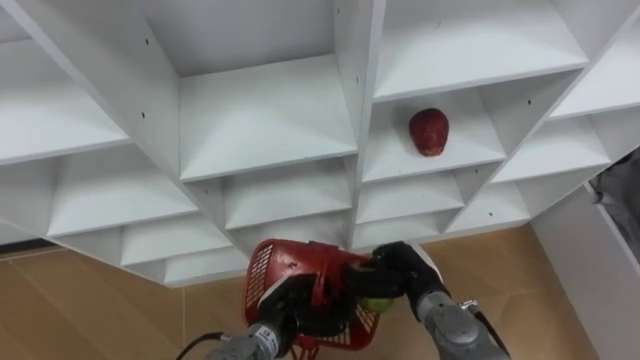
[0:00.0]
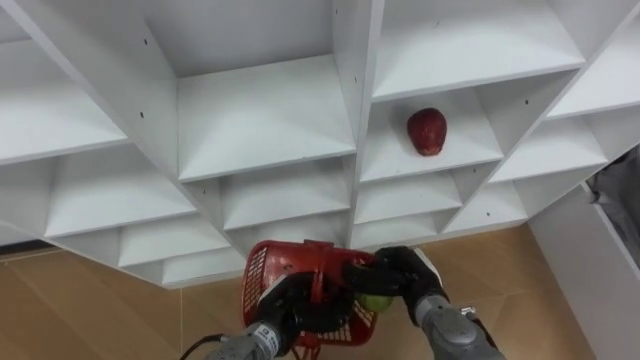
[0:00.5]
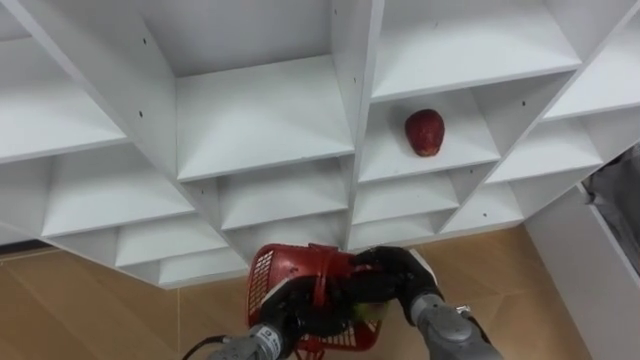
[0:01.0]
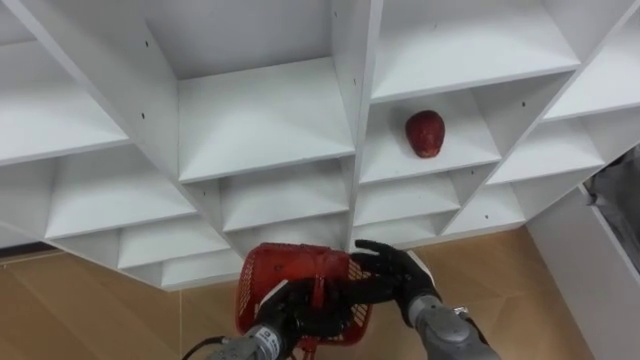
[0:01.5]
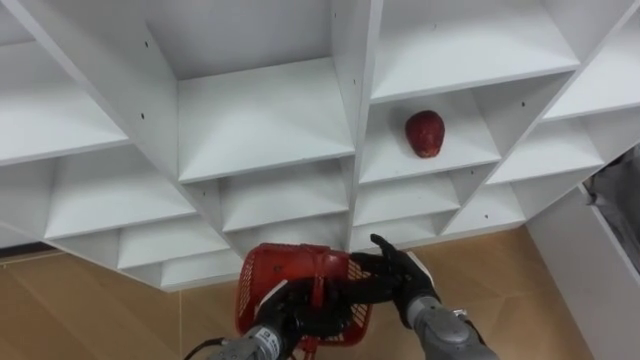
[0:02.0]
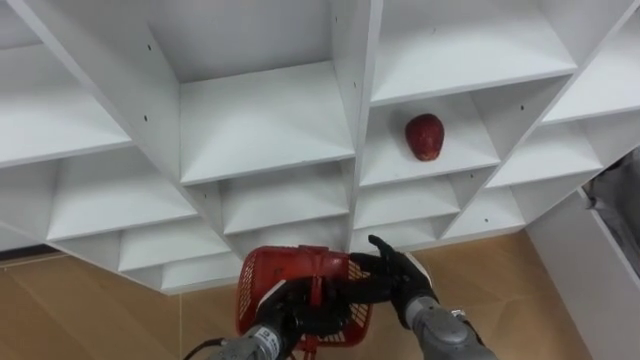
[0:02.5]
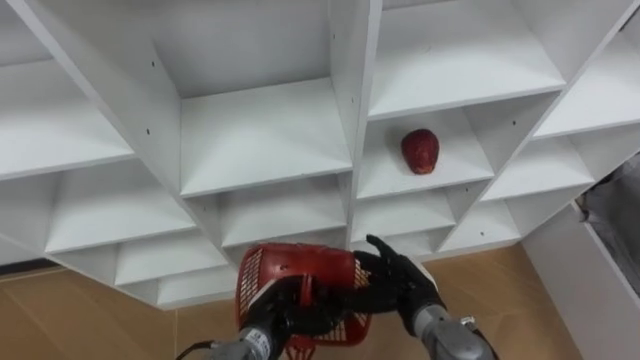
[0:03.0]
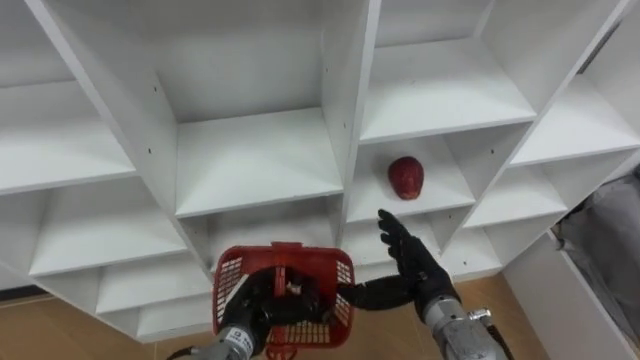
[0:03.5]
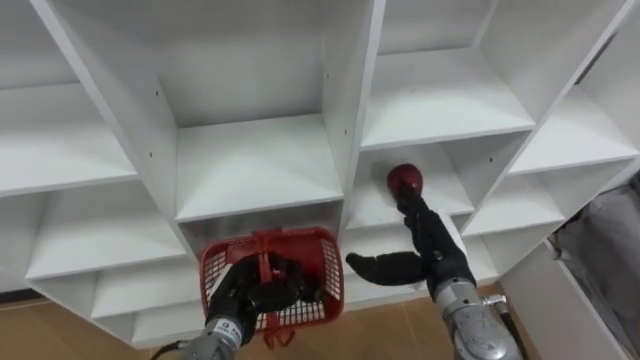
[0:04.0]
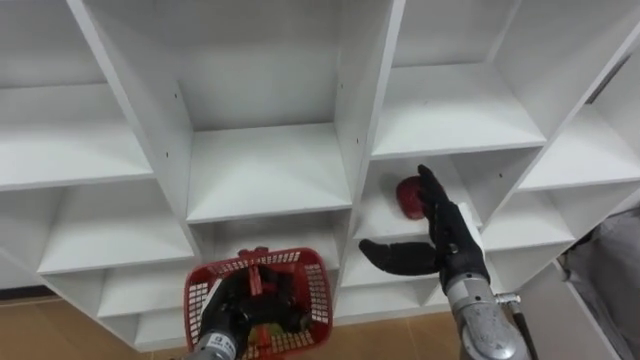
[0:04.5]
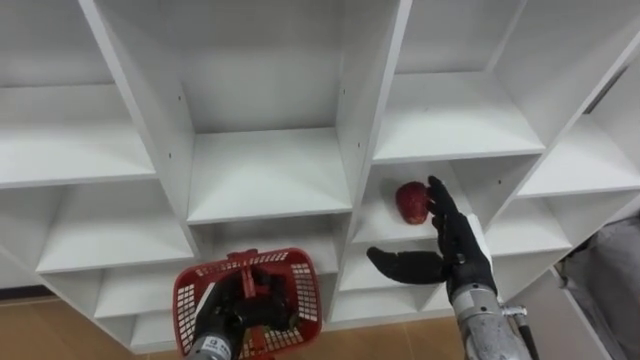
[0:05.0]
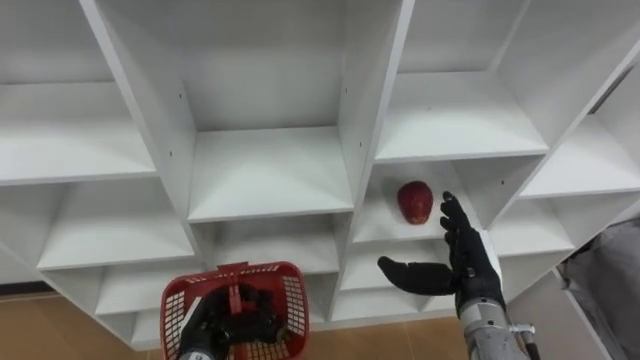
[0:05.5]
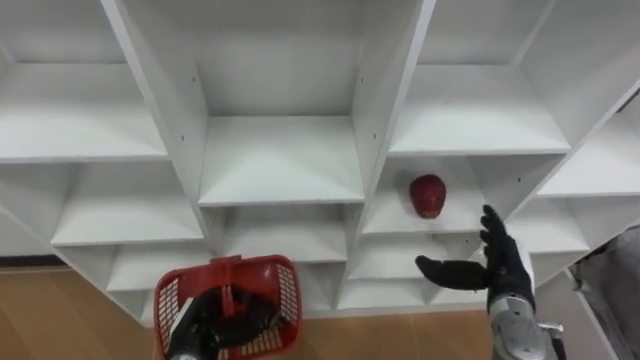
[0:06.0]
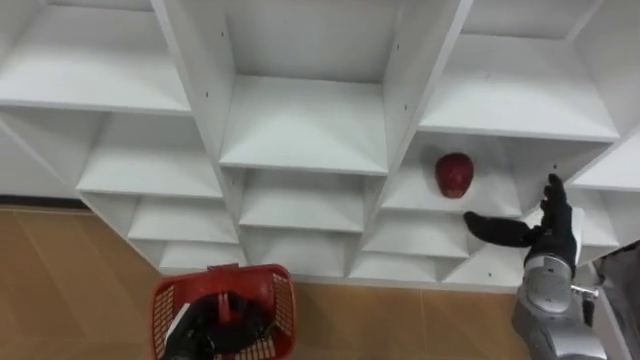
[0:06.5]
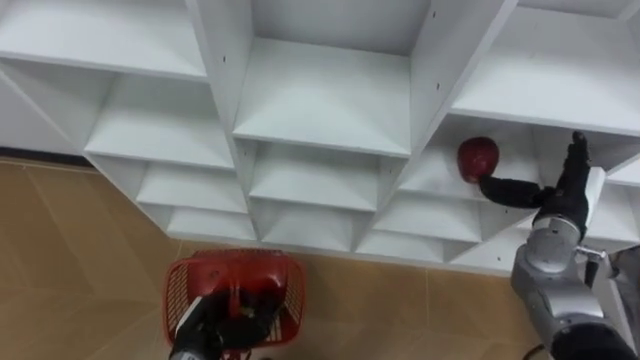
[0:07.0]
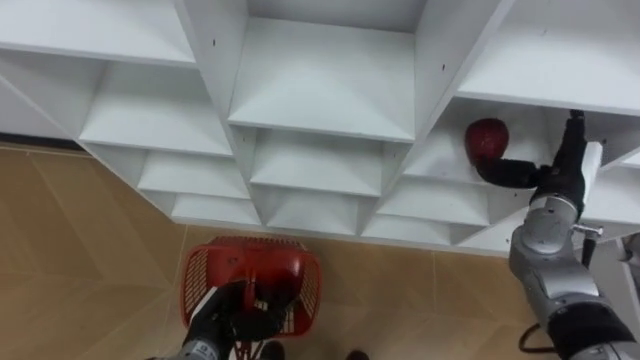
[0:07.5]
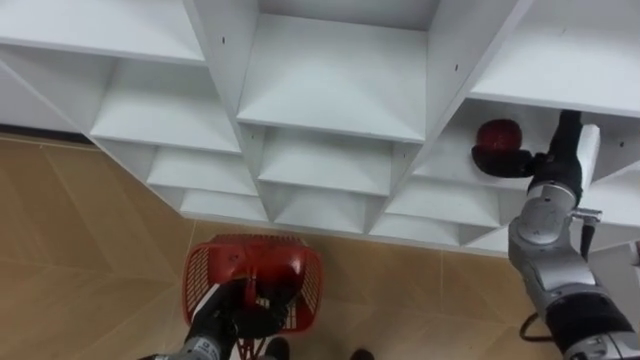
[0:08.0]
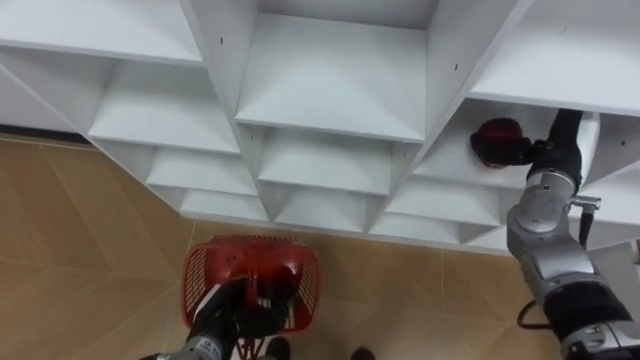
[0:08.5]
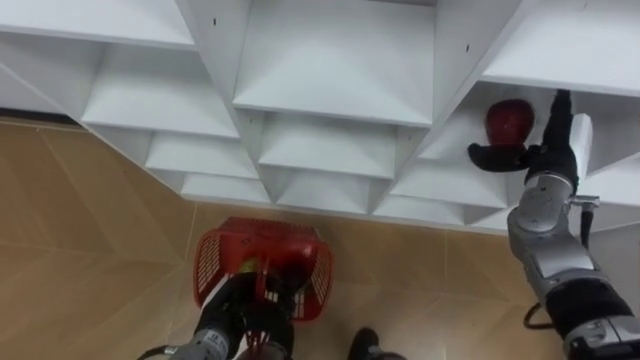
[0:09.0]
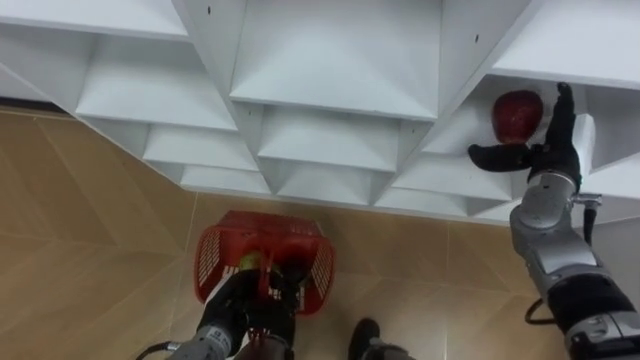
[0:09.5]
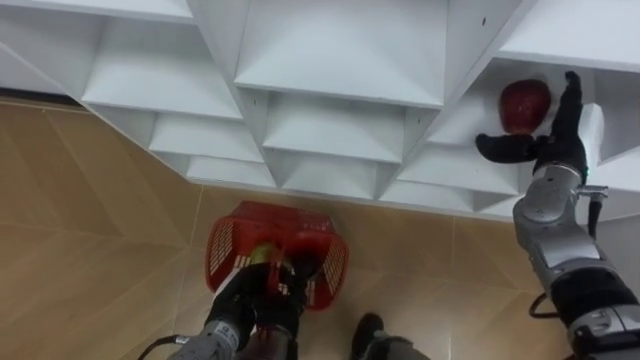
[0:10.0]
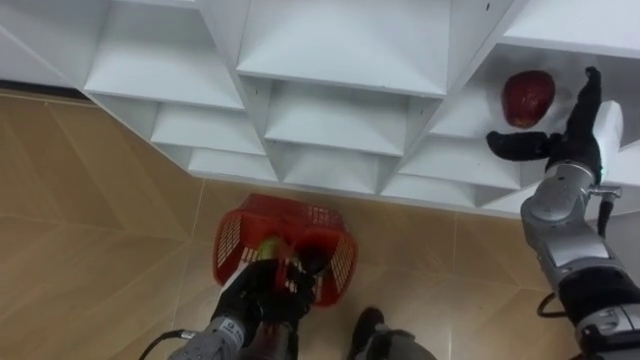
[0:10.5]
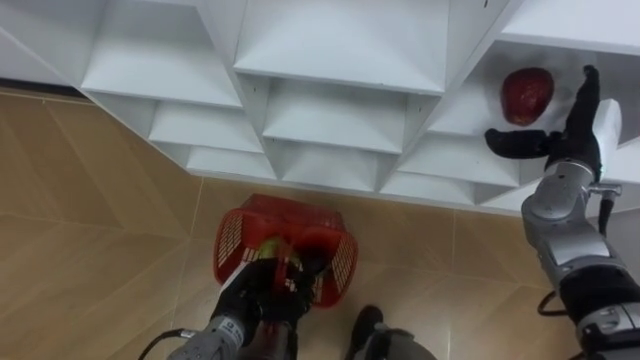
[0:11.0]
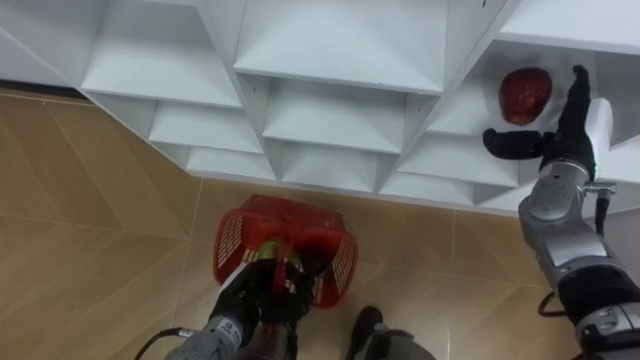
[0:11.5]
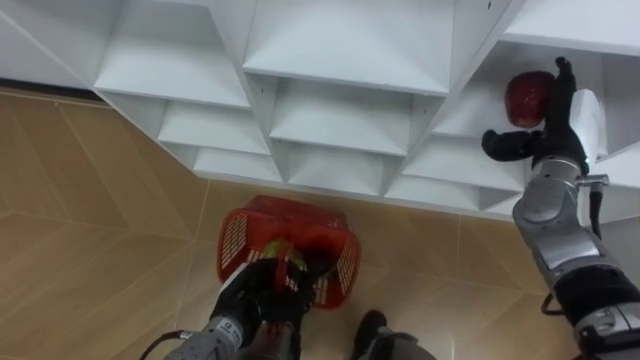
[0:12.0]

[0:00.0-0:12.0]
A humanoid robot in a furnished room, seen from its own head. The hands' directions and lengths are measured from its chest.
Task of the whole recording: Hold the basket and collect the fruits from 3 different cells of the closet into it.
0:00.0 to 0:02.0: The right hand opens up.
0:02.0 to 0:04.0: The right hand moves upward, some 10 cm; the left hand travels to the left by about 5 cm.
0:04.0 to 0:06.0: The right hand travels to the right by some 10 cm; the left hand travels to the left by about 5 cm.
0:06.0 to 0:08.0: The right hand goes roughly 15 cm upward, forward and to the right.

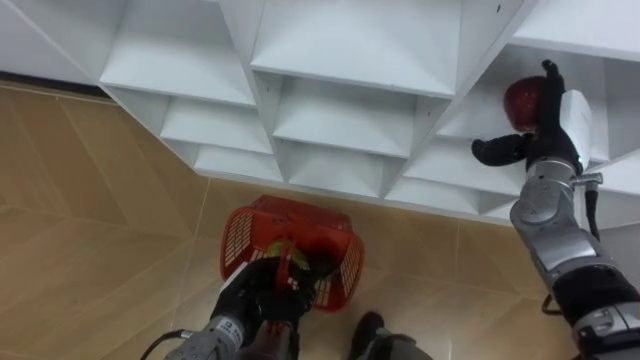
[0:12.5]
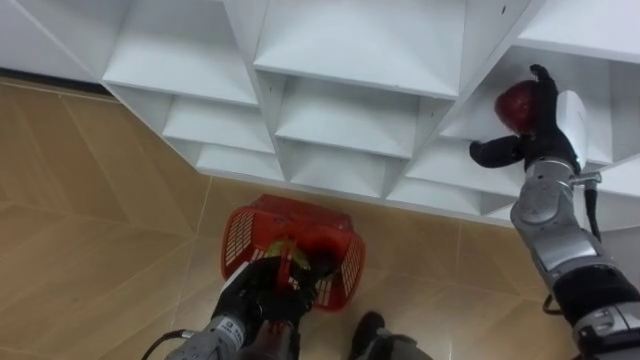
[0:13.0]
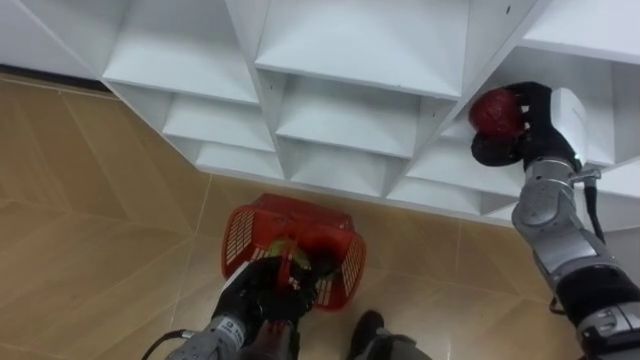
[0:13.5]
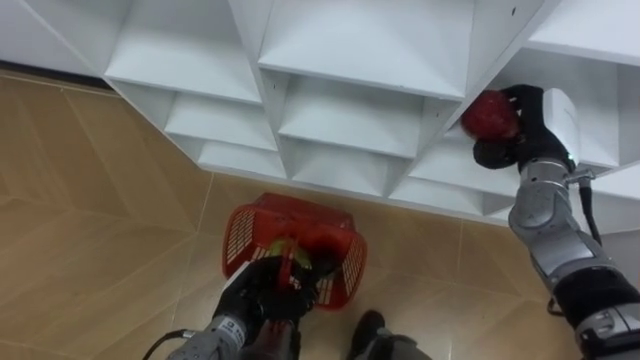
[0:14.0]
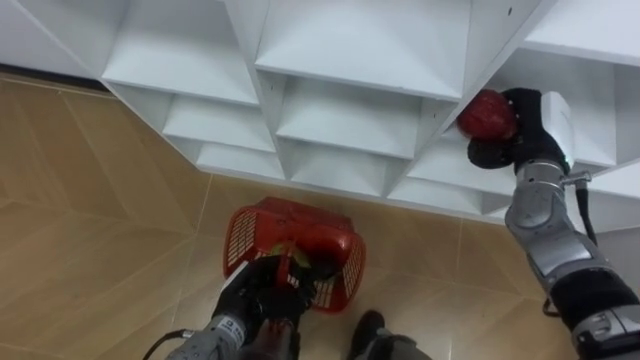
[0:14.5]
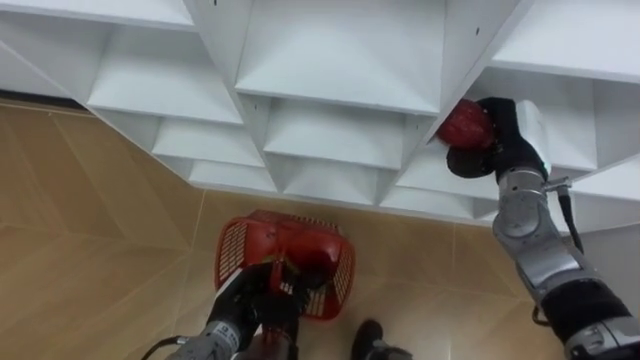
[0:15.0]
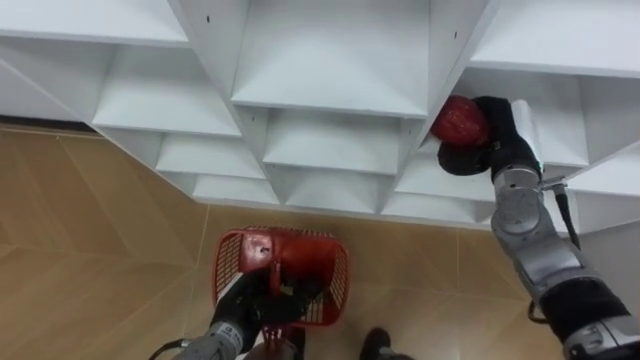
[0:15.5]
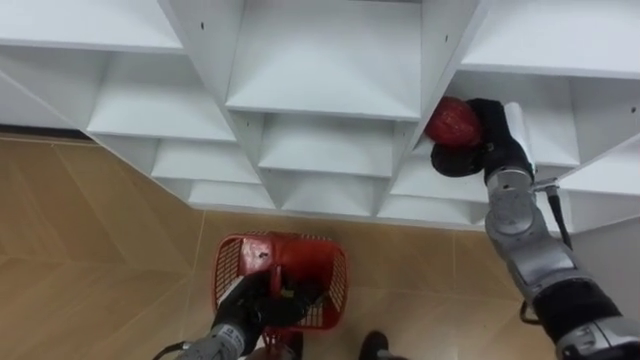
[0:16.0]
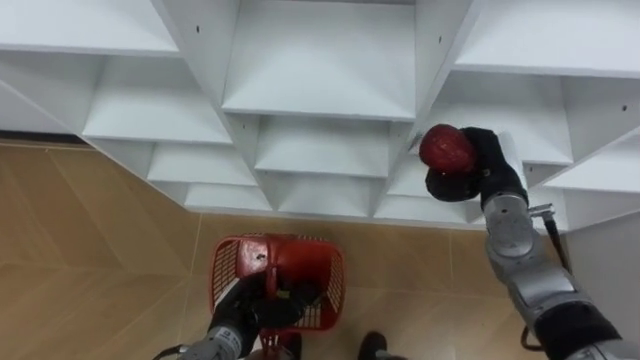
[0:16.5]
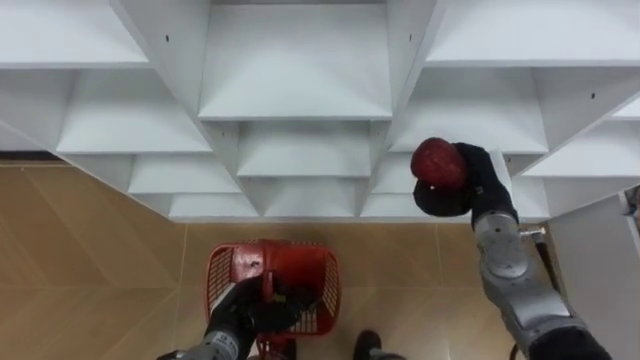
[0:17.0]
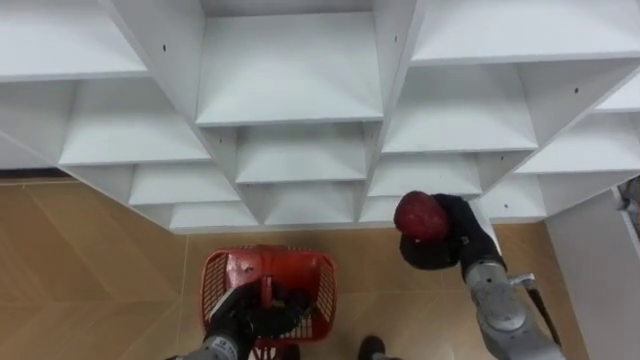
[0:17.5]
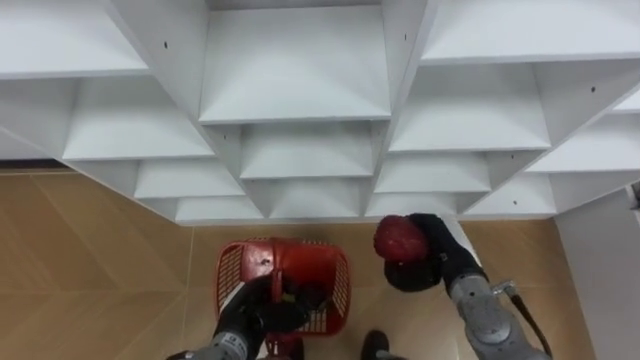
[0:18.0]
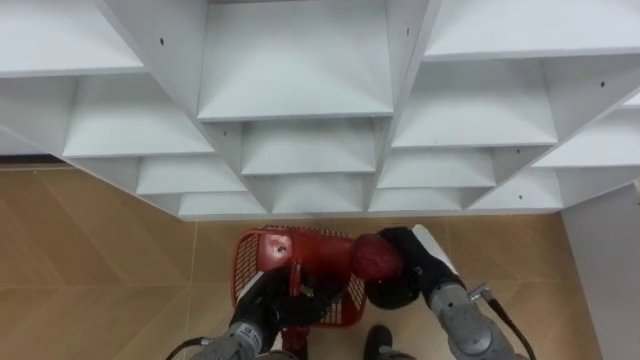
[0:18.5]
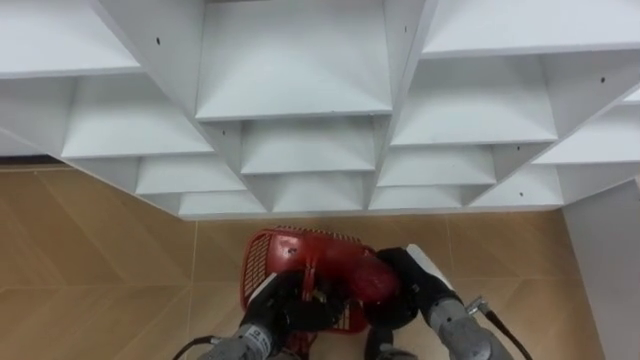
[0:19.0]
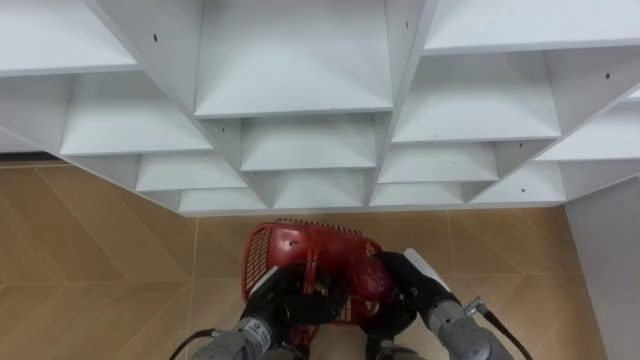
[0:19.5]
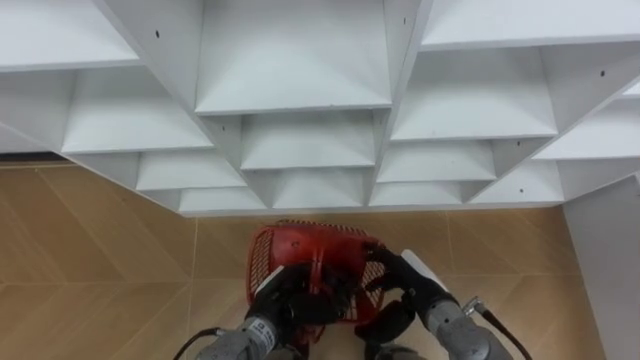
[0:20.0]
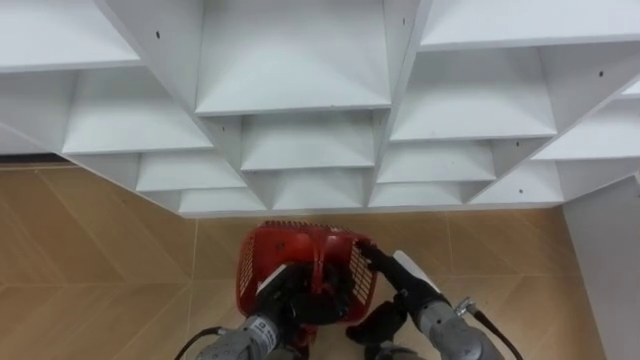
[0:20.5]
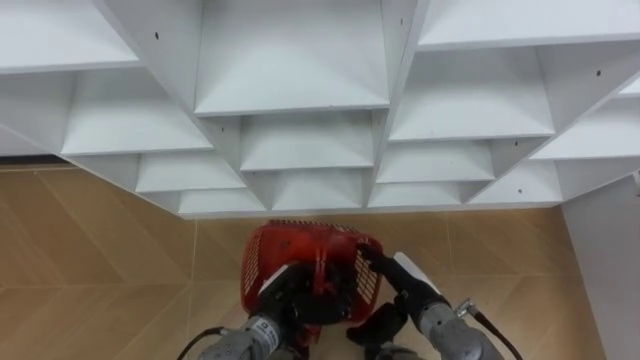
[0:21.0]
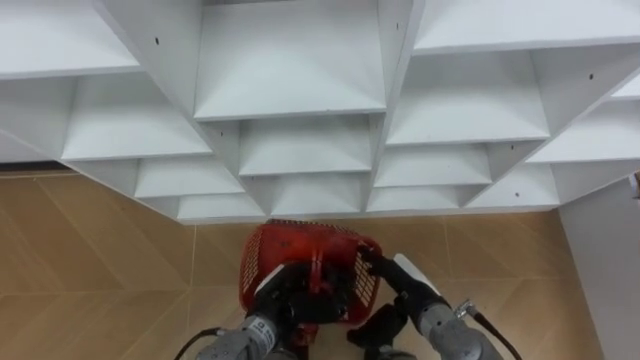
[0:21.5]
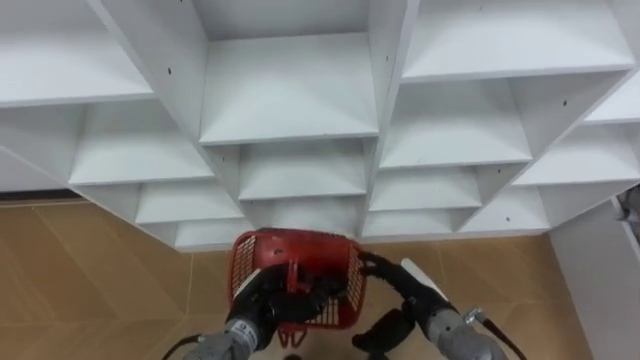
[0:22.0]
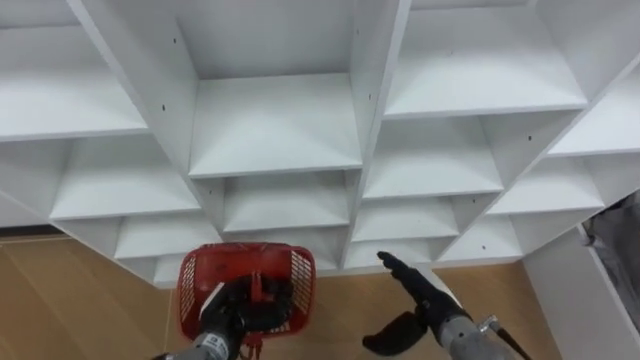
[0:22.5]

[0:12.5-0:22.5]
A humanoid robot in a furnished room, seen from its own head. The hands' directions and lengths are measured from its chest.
Task of the whole recording: Hold the basket and collect the fruits from 3 different cells of the closet into it.
0:12.5 to 0:14.5: The right hand closes its fingers.
0:14.5 to 0:16.5: The right hand moves some 5 cm.
0:16.5 to 0:18.5: The right hand travels backward, to the left and downward by about 15 cm.
0:18.5 to 0:20.5: The right hand opens.
0:20.5 to 0:22.5: The left hand heads to the left, covering approximately 10 cm.
